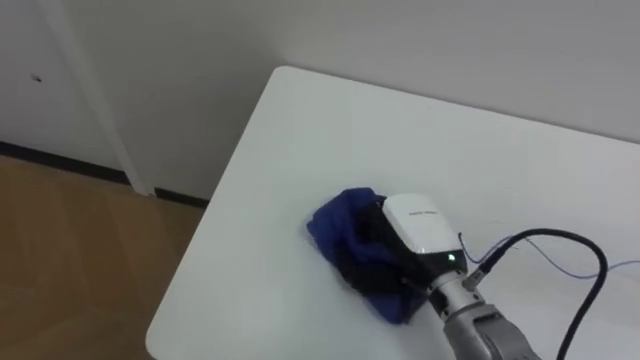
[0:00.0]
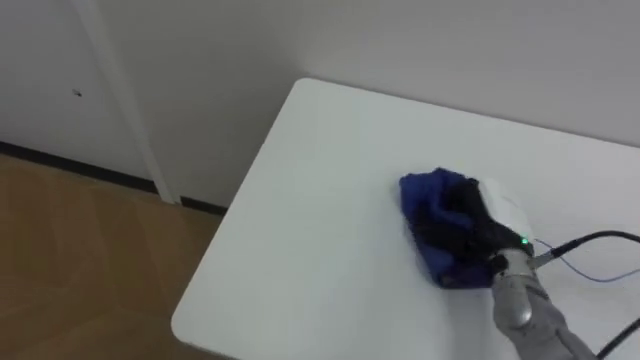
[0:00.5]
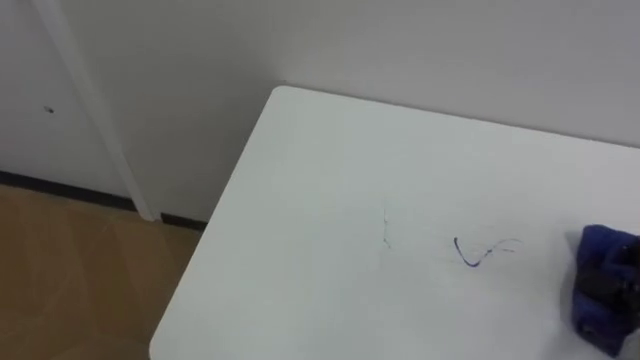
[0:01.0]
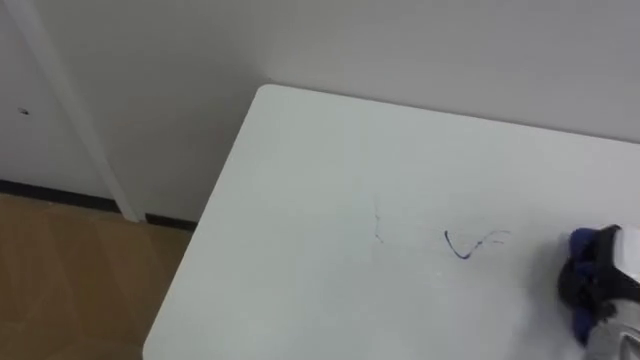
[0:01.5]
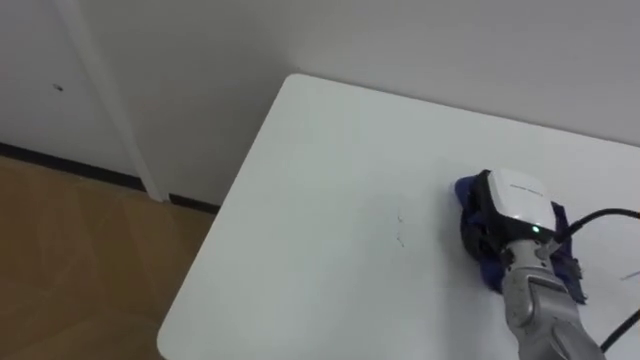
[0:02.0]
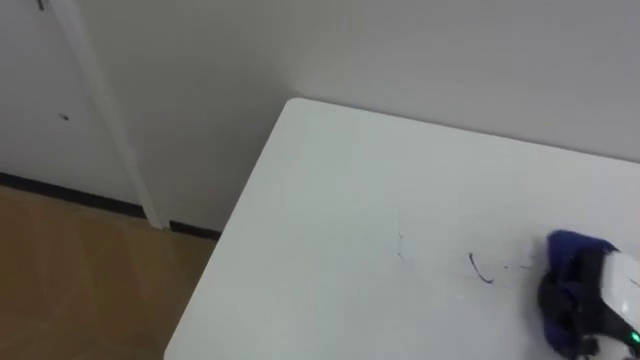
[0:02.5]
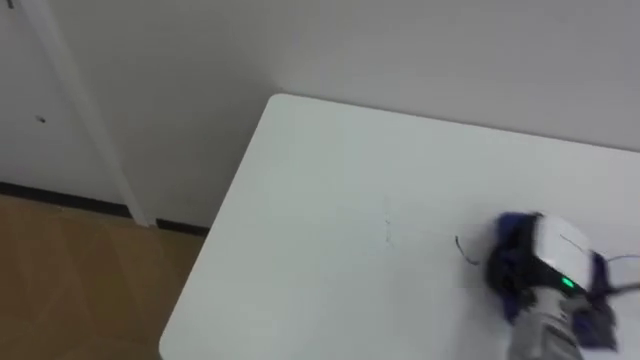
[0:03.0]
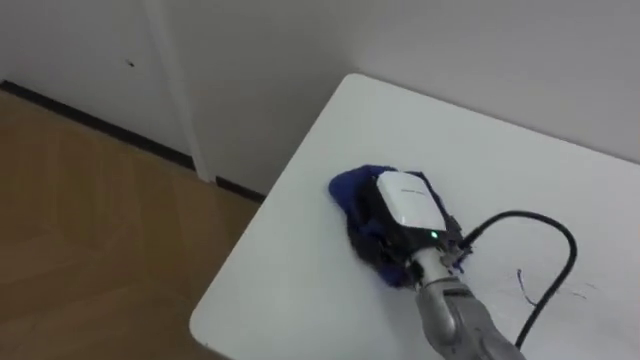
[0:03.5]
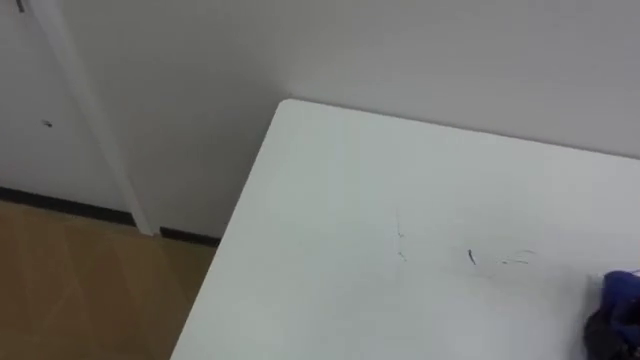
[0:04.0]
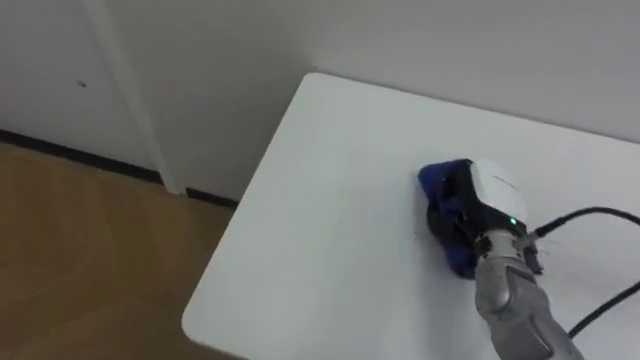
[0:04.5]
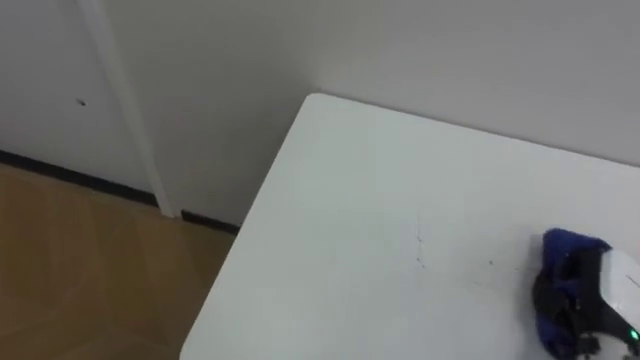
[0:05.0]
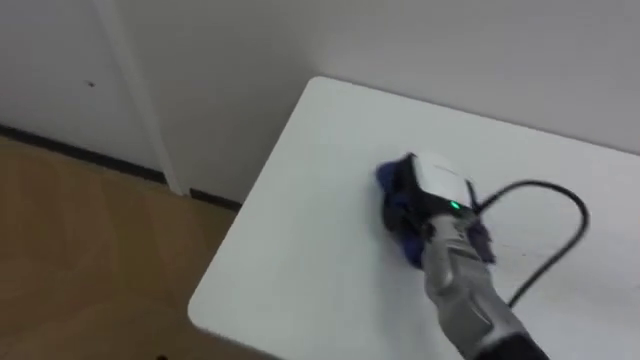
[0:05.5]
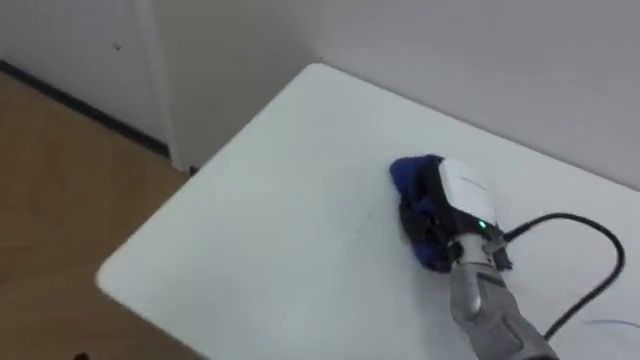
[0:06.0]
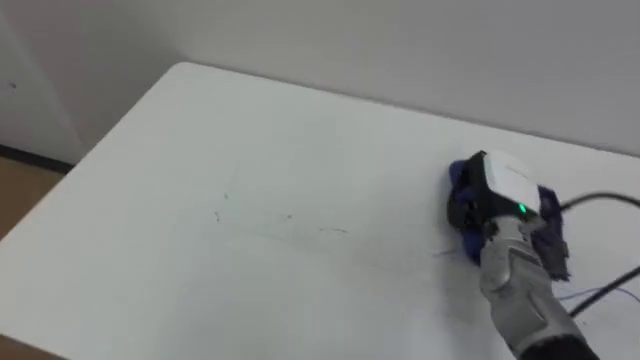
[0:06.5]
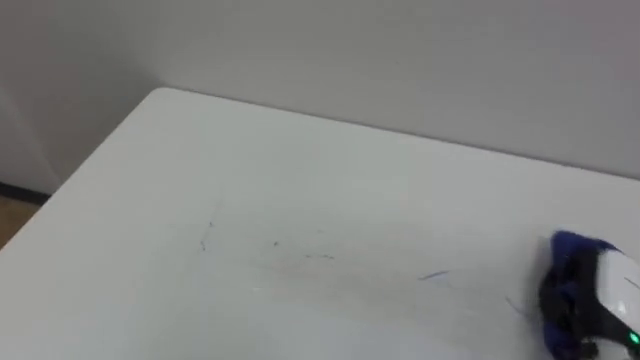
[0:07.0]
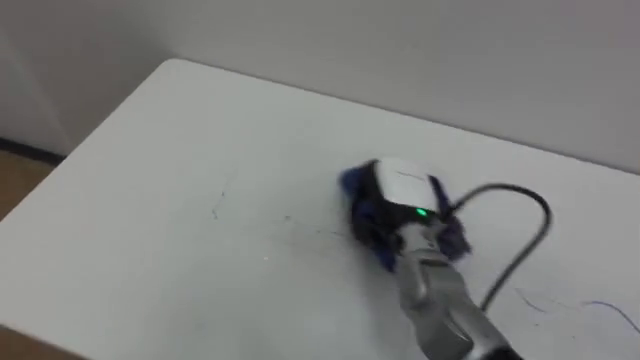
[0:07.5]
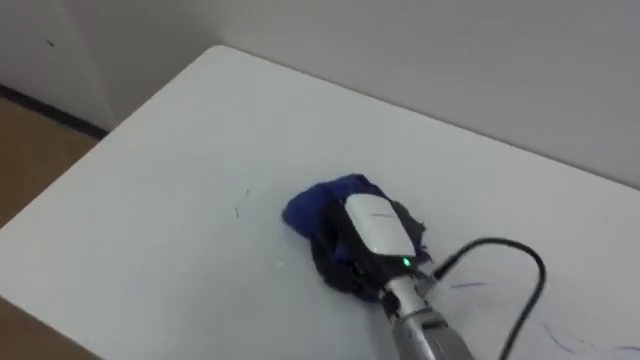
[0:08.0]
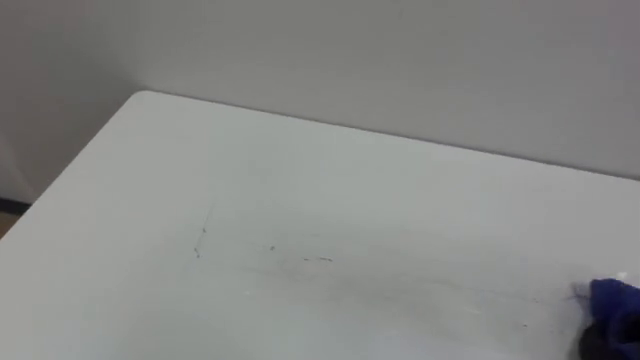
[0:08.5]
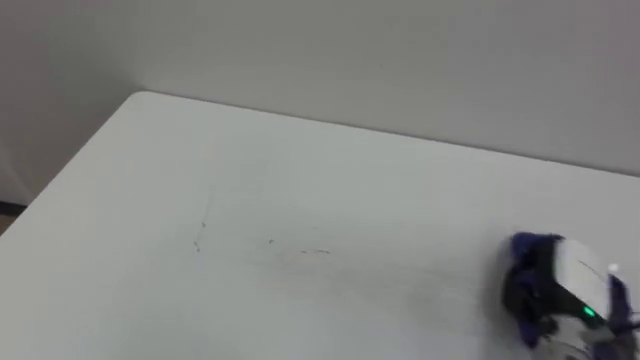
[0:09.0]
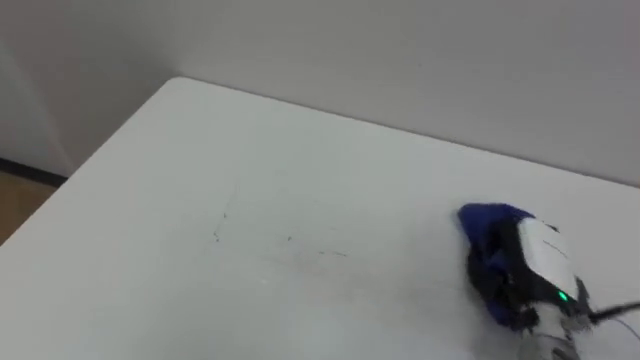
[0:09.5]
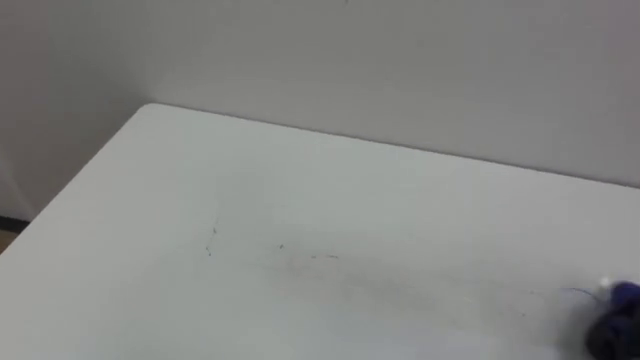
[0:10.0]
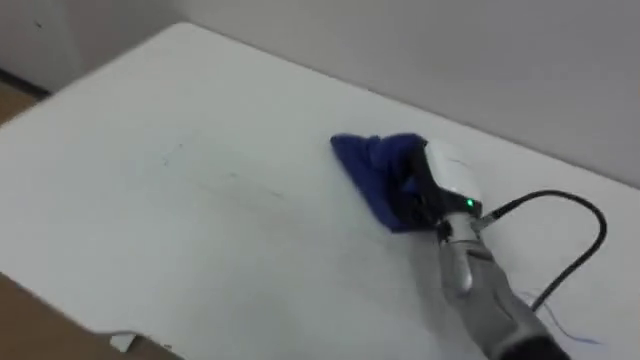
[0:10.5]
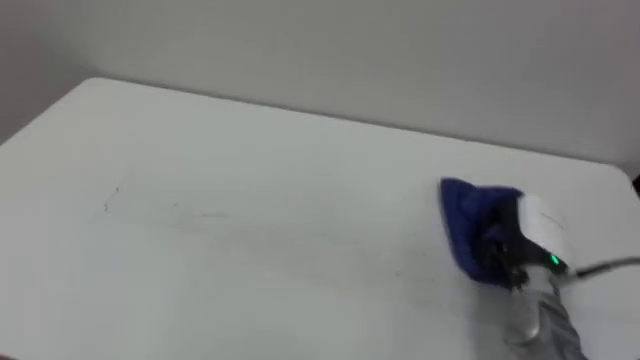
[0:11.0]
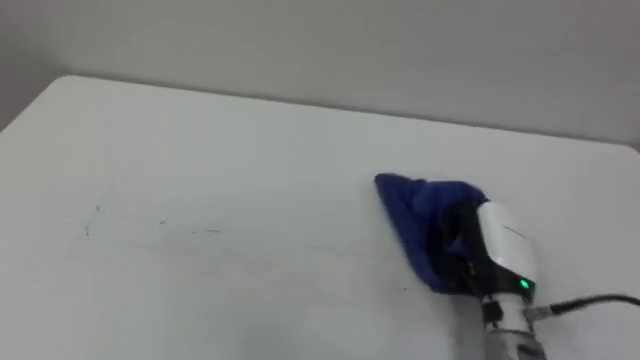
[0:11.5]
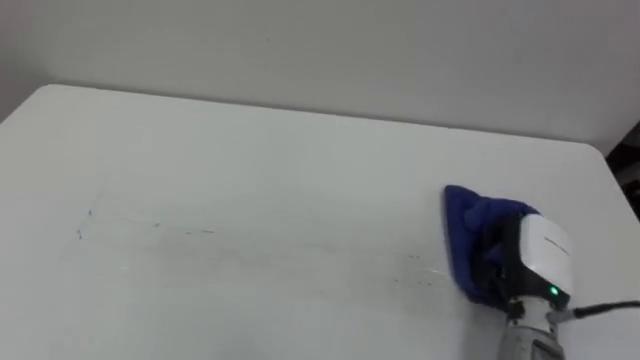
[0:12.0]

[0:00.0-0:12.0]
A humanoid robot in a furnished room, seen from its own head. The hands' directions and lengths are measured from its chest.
Task of the whole recording: Wipe the blue pen marks off the table with the rag.
0:06.0 to 0:08.0: The right hand shifts some 15 cm to the left and backward.

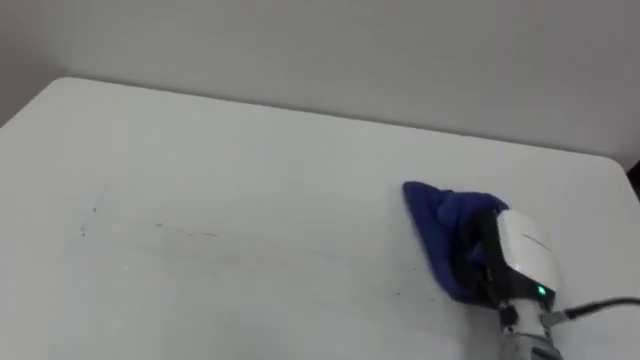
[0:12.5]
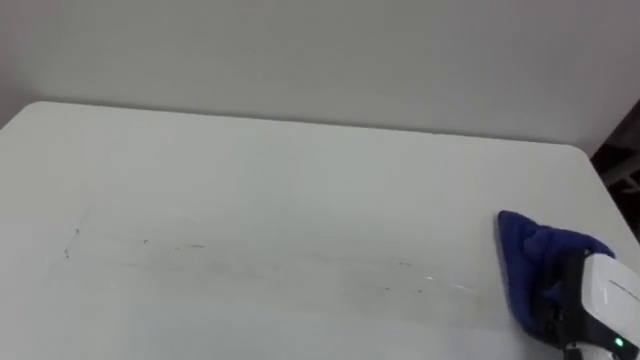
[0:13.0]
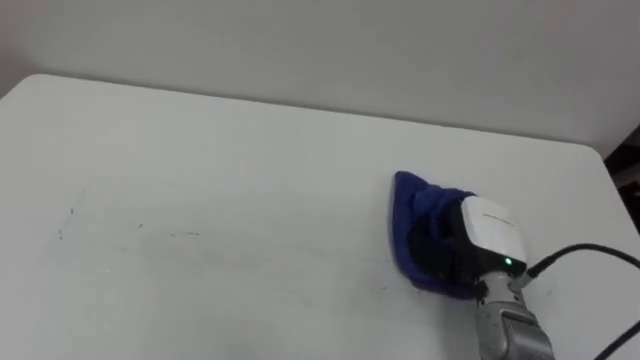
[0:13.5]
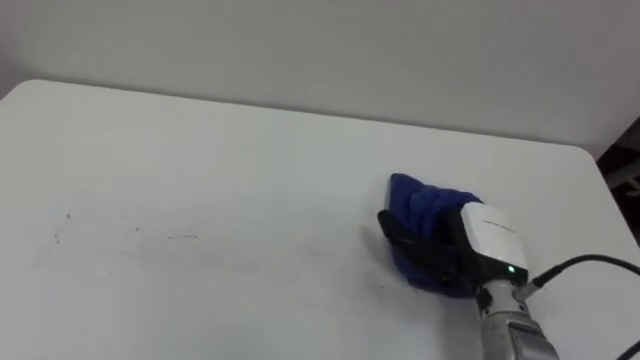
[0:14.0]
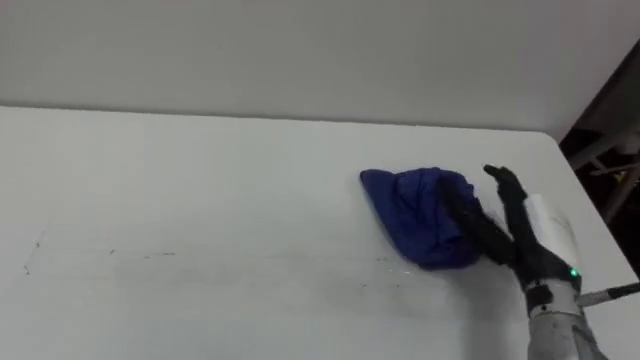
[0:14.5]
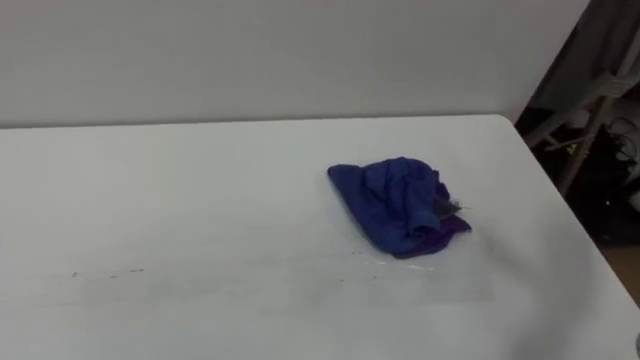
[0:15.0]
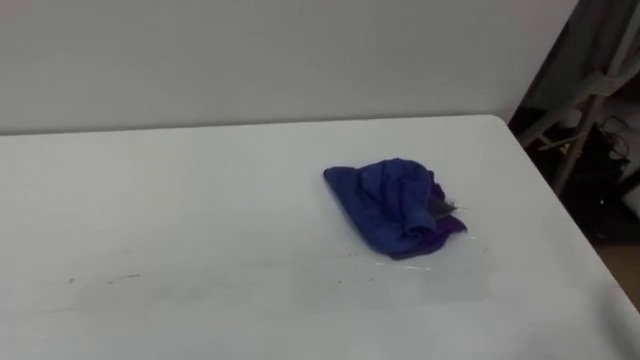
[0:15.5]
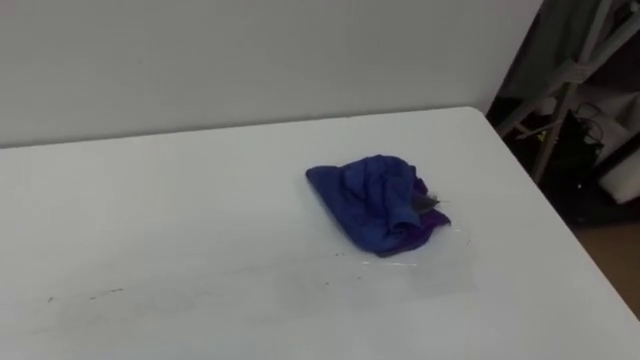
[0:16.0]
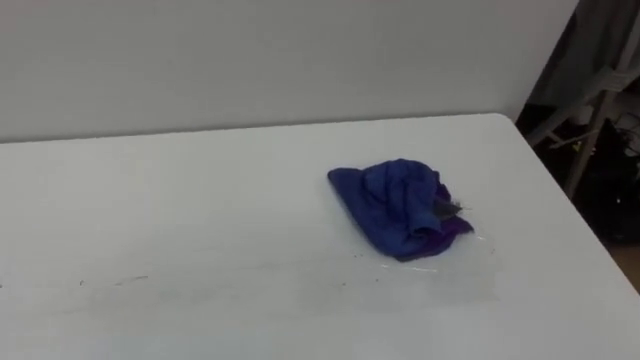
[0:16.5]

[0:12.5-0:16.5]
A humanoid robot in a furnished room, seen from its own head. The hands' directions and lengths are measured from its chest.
Task of the whole recording: Wipe the blue pen marks off the table with the rag.
0:12.5 to 0:14.5: The right hand goes left and right, approximately 10 cm each way, reversing 2 times, and opens its fingers.

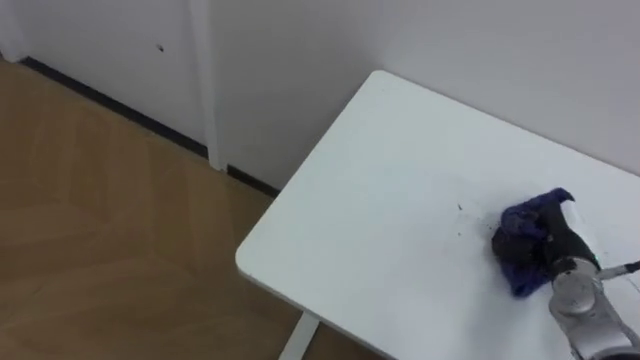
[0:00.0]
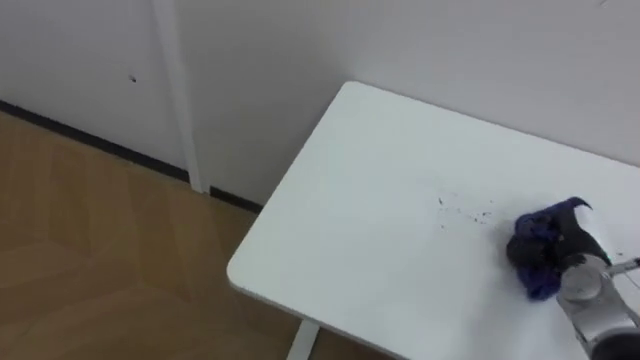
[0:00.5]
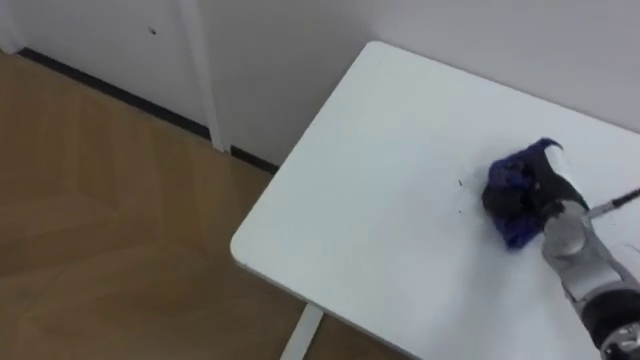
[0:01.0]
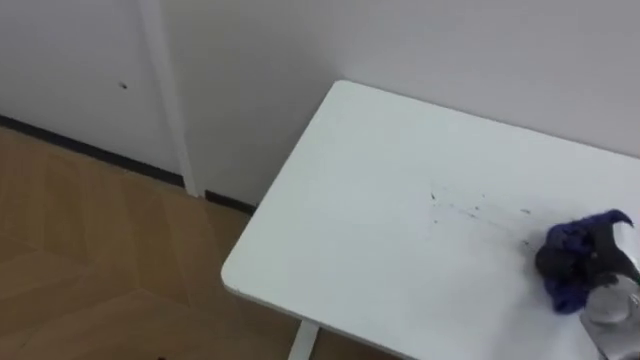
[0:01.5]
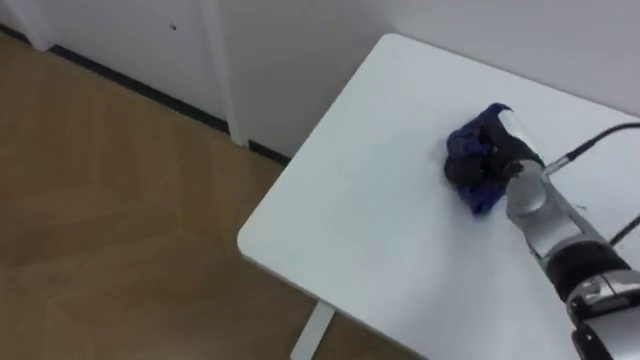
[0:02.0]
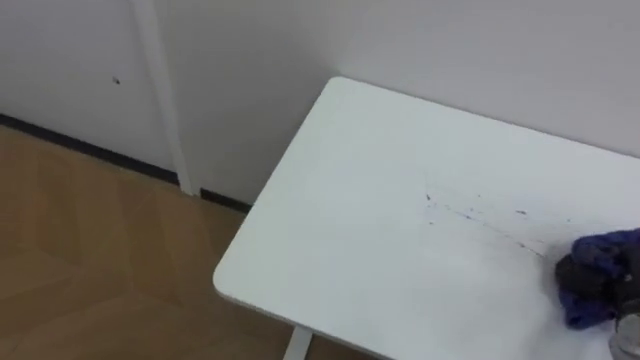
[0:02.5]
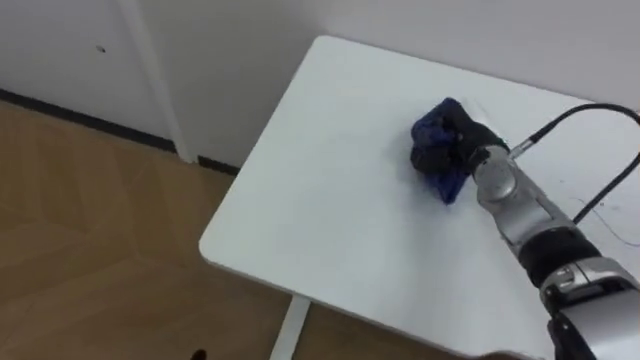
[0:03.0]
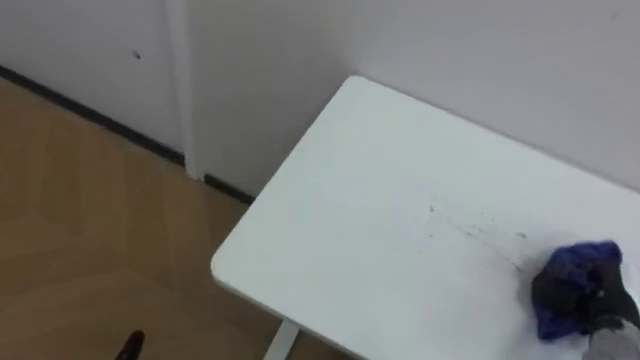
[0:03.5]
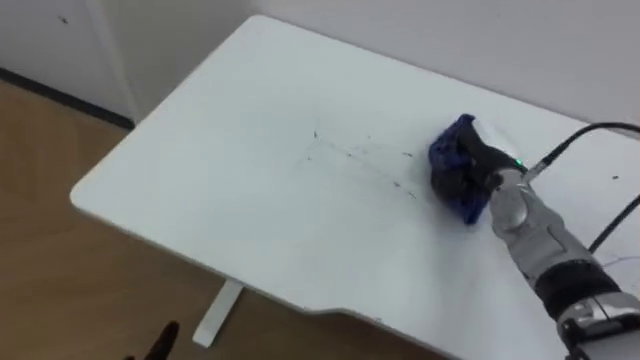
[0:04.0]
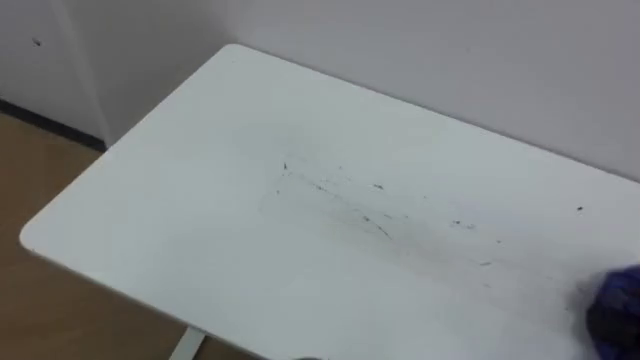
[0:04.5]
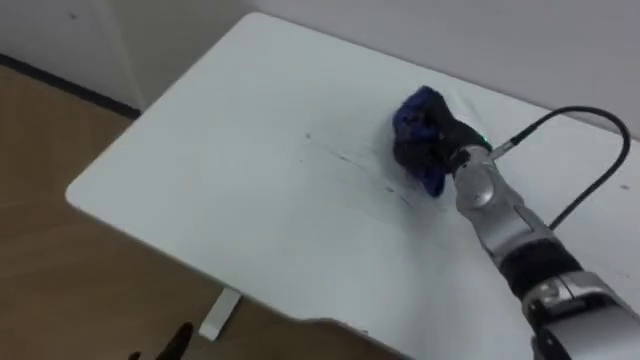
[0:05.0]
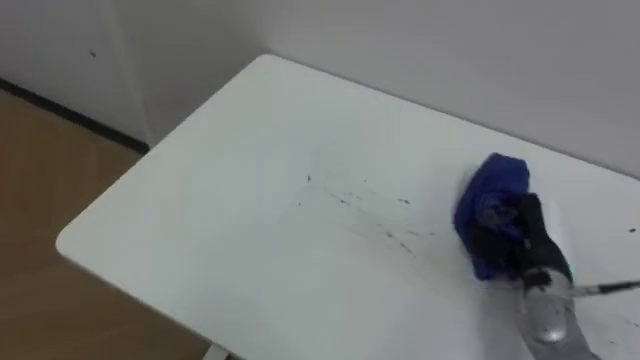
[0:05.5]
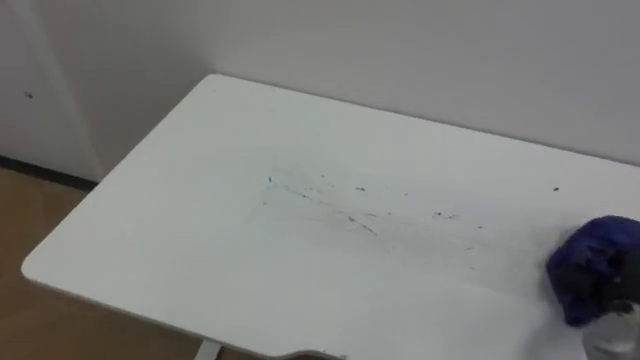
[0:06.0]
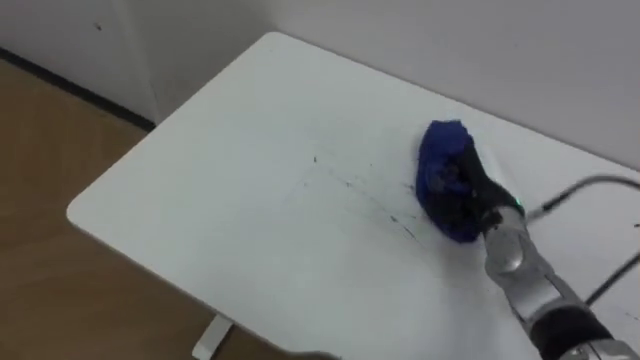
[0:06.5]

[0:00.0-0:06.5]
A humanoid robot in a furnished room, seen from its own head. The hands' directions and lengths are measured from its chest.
Task of the whole recording: Wipe the blue pen marks off the table with the rag.
0:00.0 to 0:02.0: The right hand goes forward and backward, roughly 15 cm each way, reversing 2 times.
